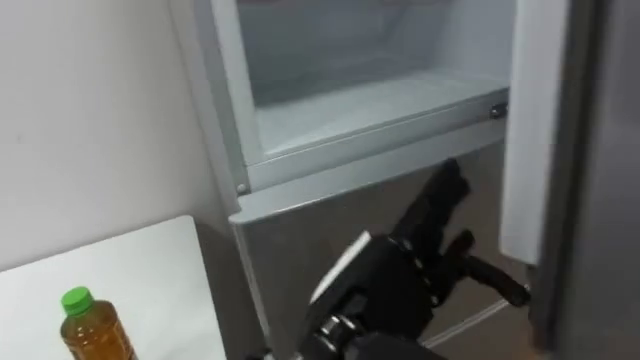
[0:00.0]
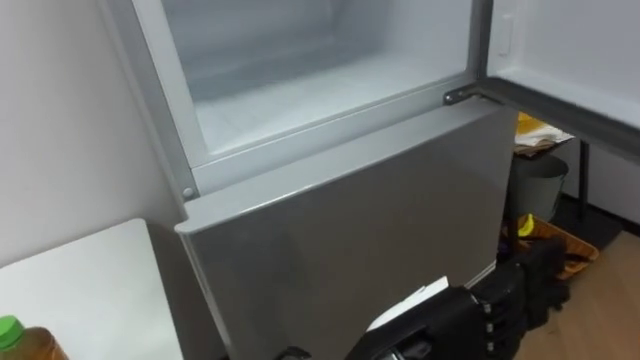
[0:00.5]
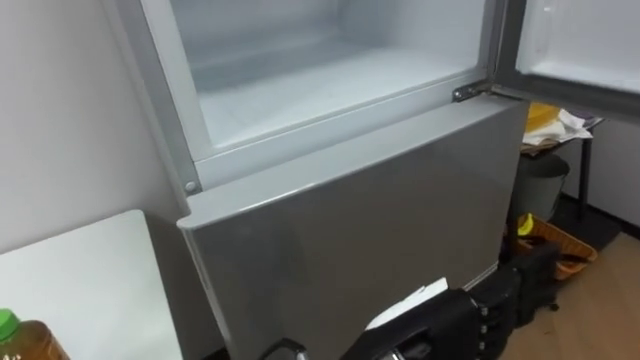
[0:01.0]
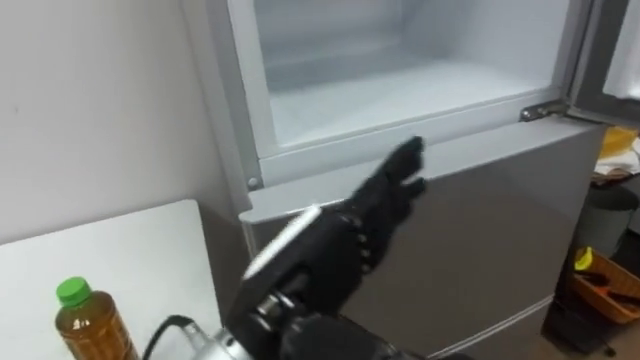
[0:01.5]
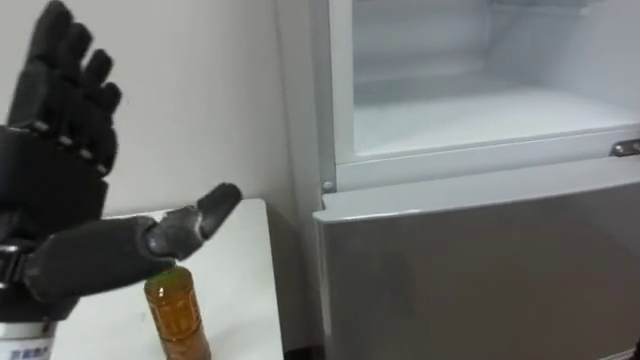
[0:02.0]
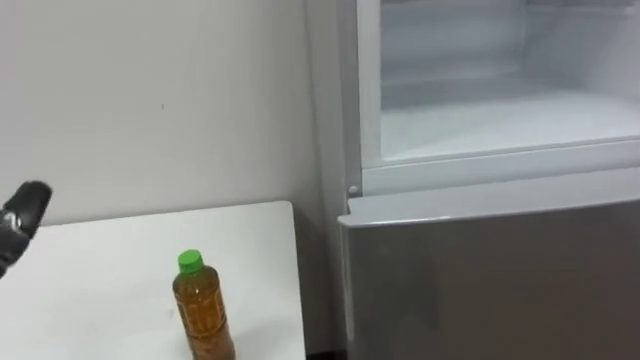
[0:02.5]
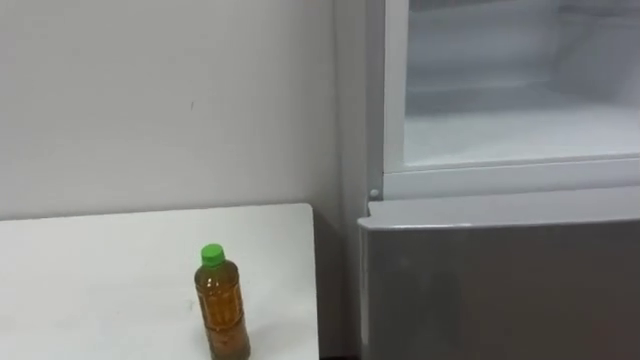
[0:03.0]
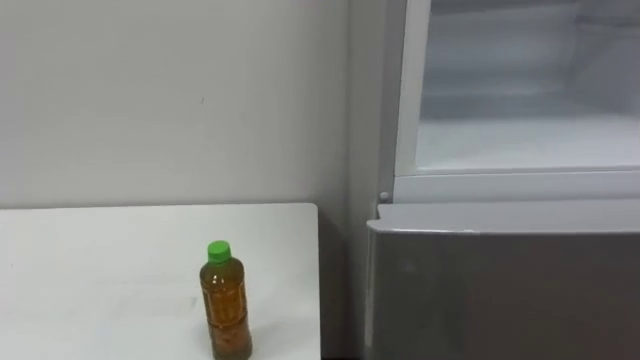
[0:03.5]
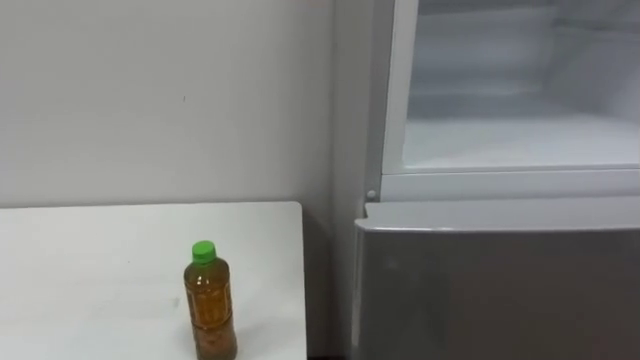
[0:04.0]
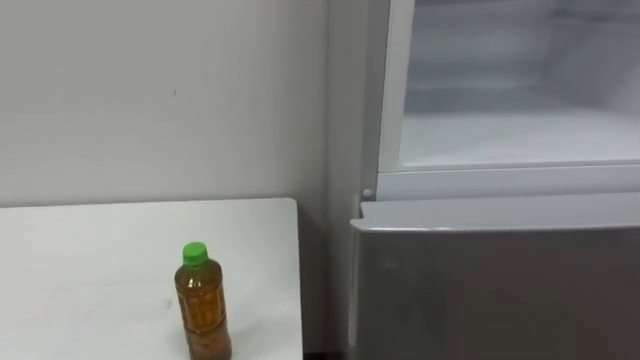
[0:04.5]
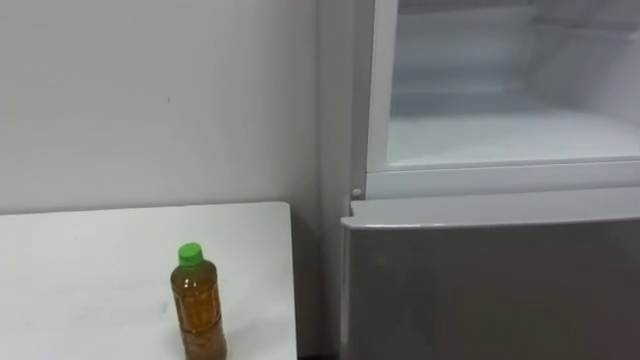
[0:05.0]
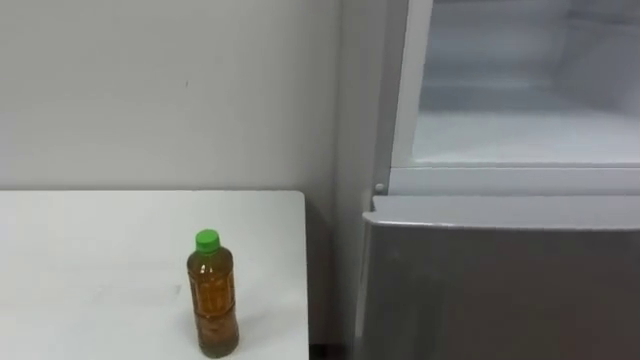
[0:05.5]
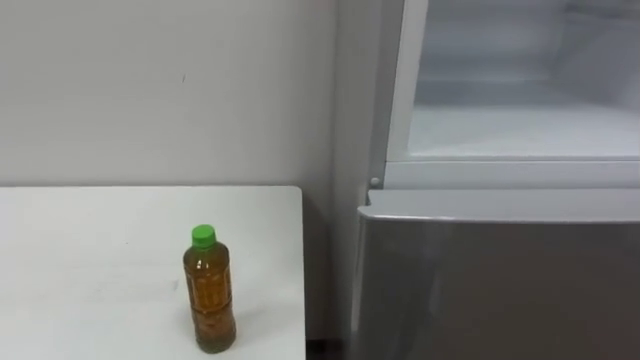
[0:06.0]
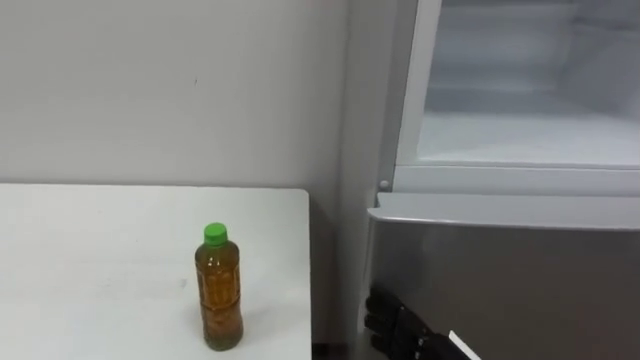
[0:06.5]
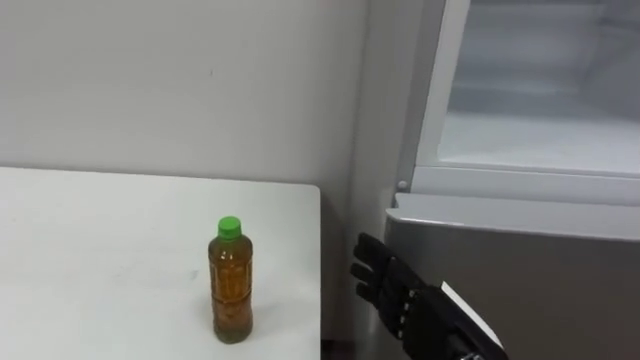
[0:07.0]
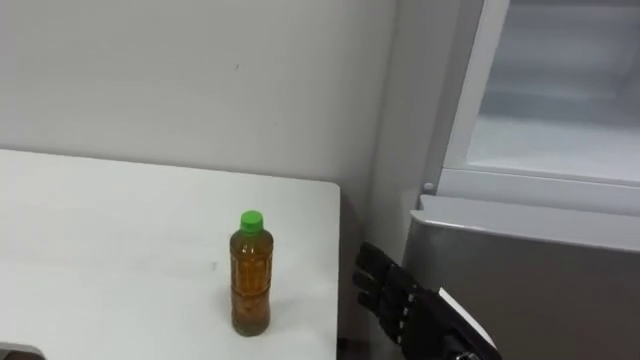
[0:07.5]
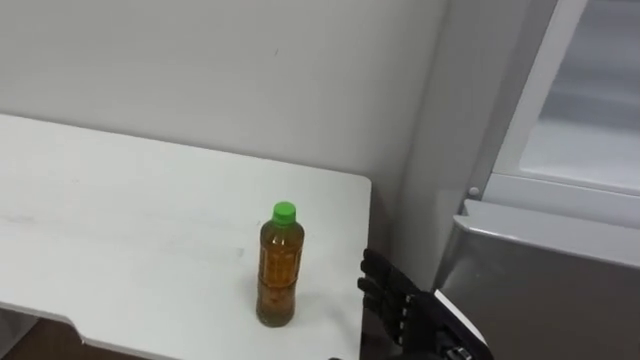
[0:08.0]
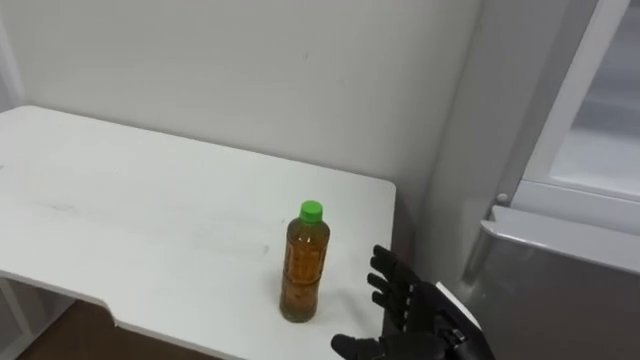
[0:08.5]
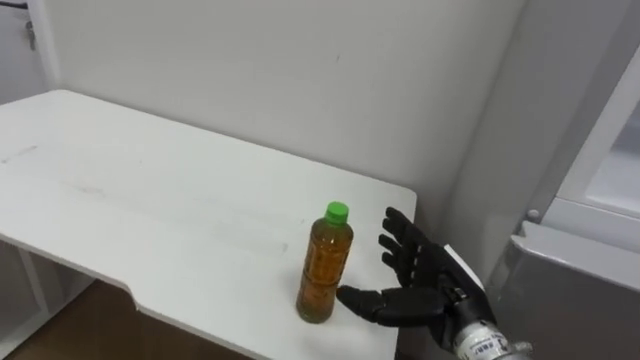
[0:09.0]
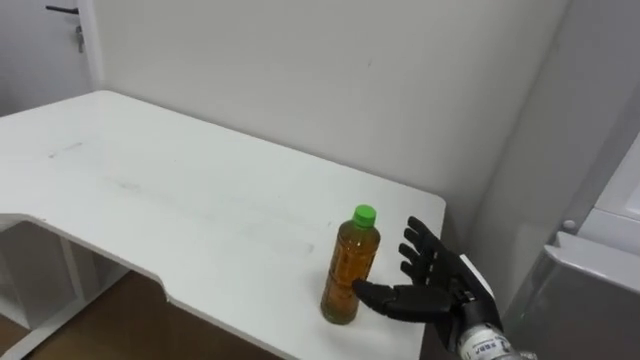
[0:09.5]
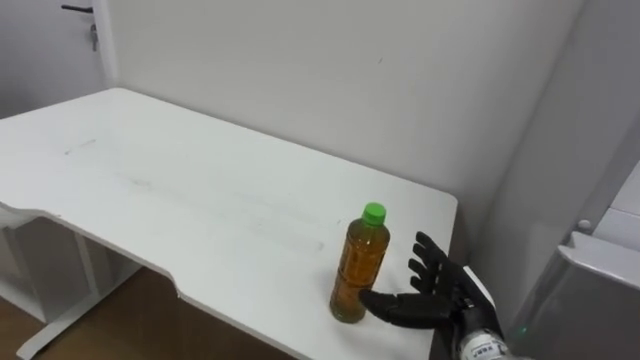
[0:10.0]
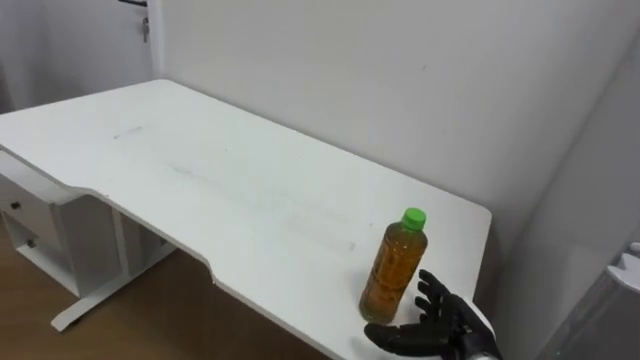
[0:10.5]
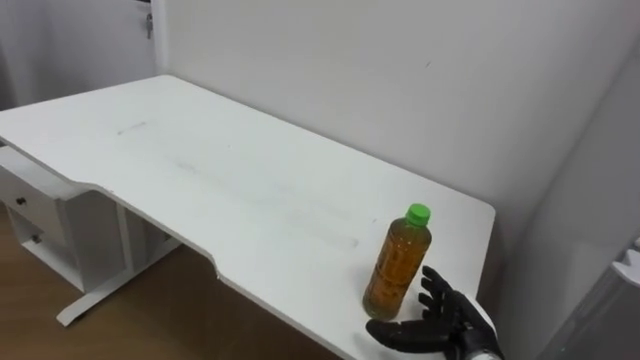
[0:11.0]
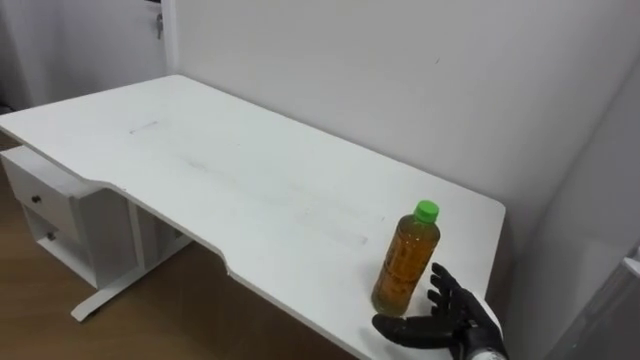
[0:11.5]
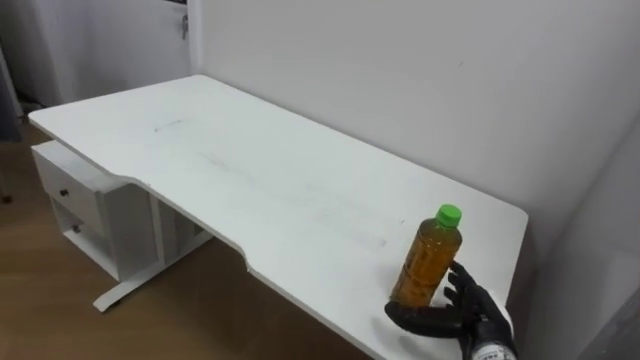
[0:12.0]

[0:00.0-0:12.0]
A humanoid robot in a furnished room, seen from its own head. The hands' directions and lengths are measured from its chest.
Task of the whole recording: Open the upper refrigerator door, put the drink from the table into the refrigerator, and then close the refrigerator door.
0:00.0 to 0:02.0: The left hand shifts roughly 25 cm to the left.
0:08.0 to 0:10.0: The right hand travels forward by about 5 cm.

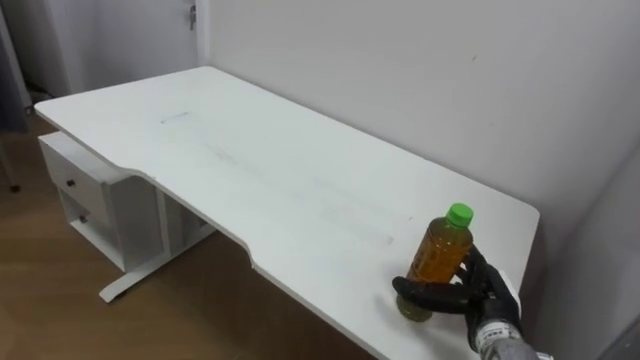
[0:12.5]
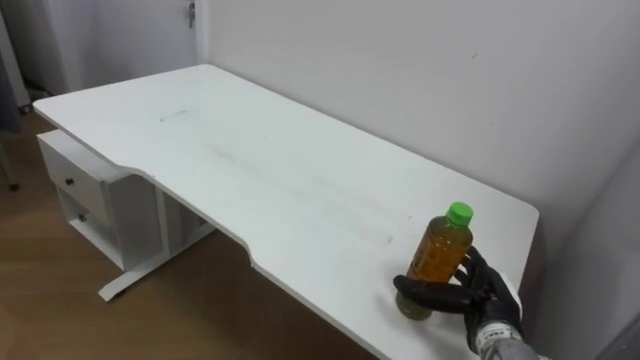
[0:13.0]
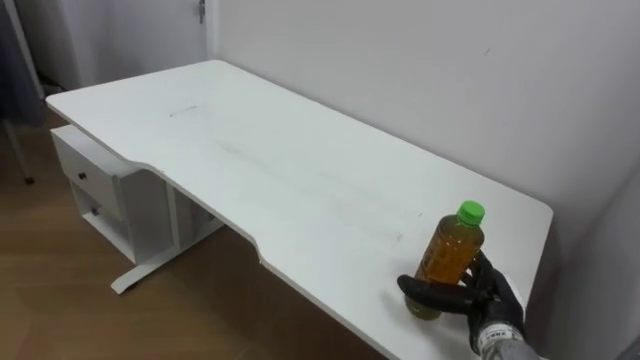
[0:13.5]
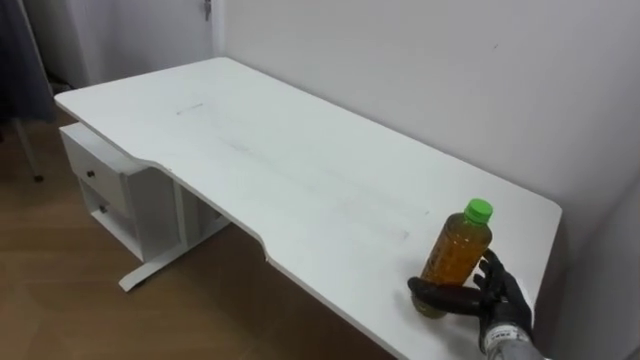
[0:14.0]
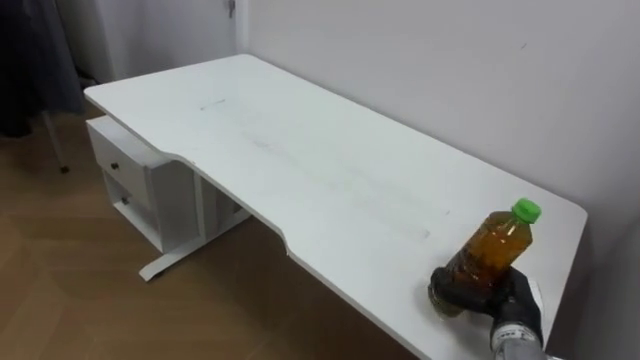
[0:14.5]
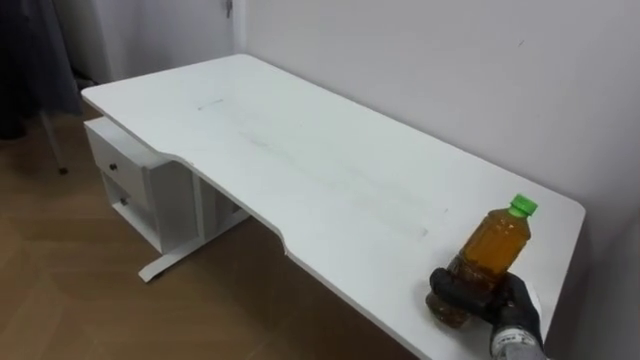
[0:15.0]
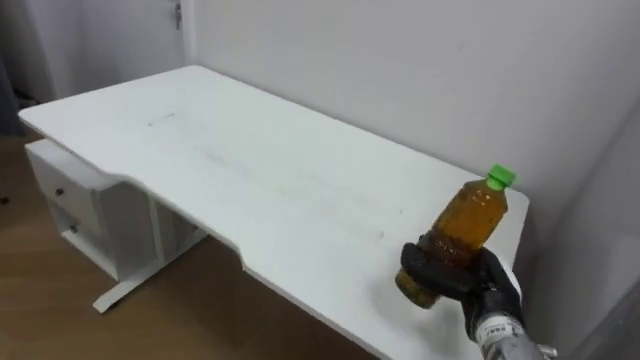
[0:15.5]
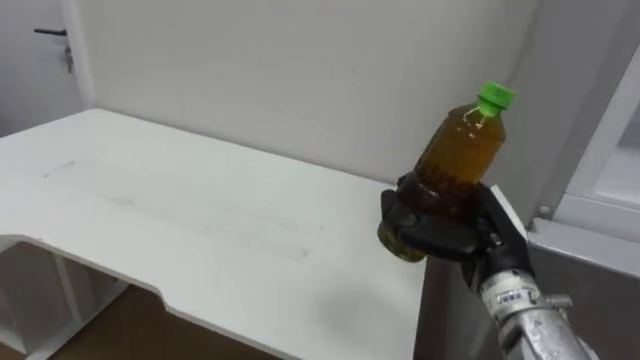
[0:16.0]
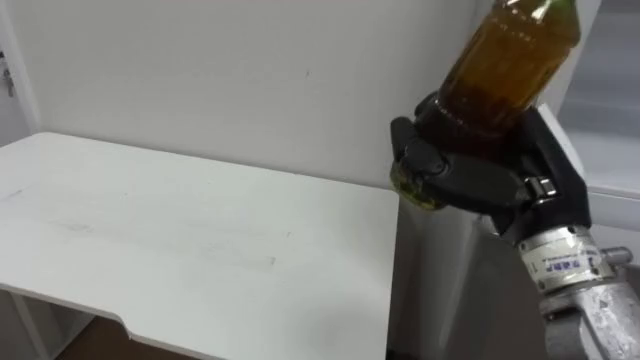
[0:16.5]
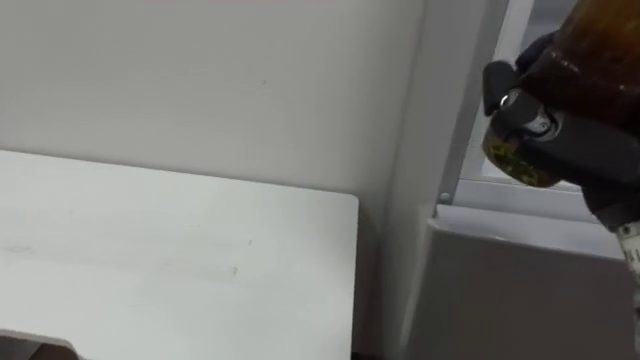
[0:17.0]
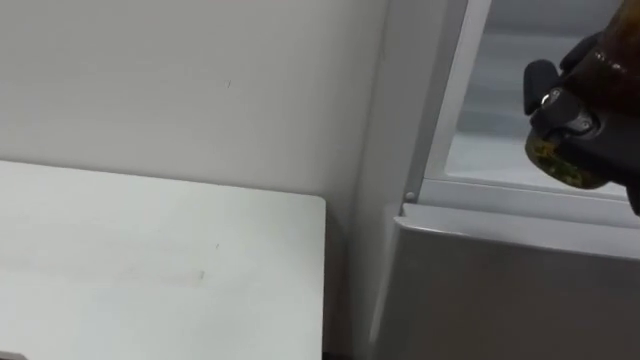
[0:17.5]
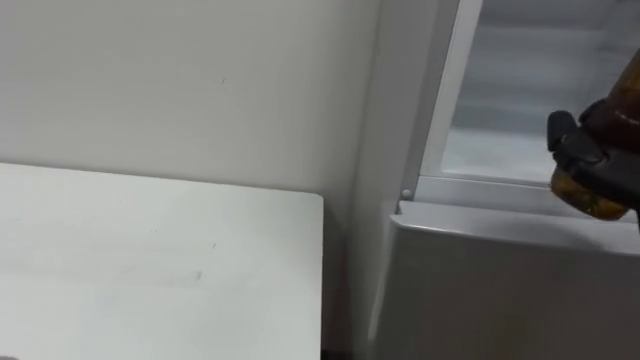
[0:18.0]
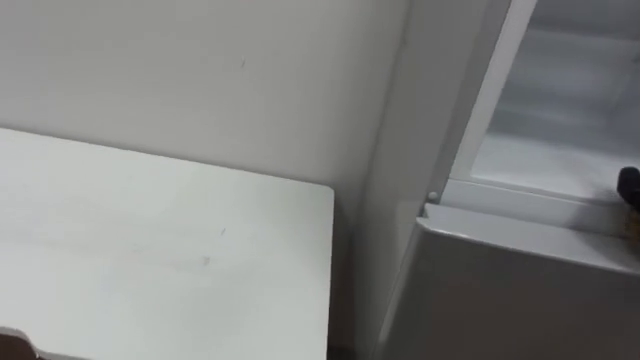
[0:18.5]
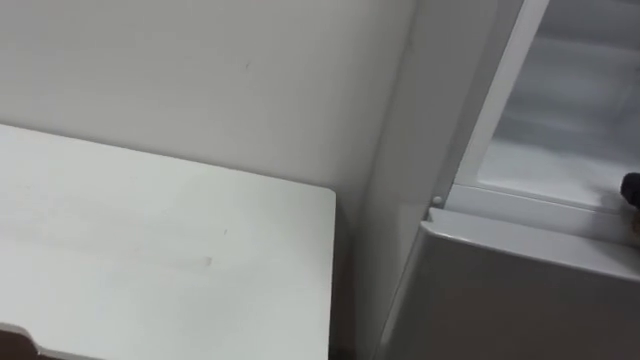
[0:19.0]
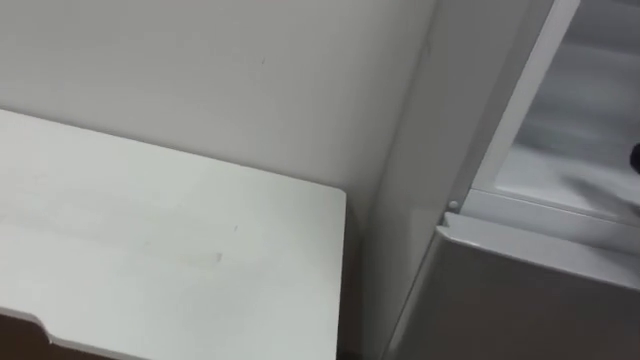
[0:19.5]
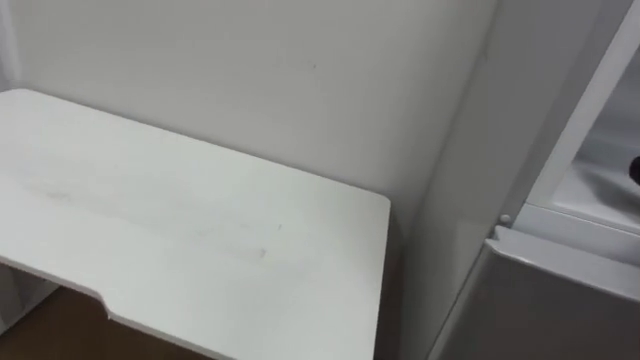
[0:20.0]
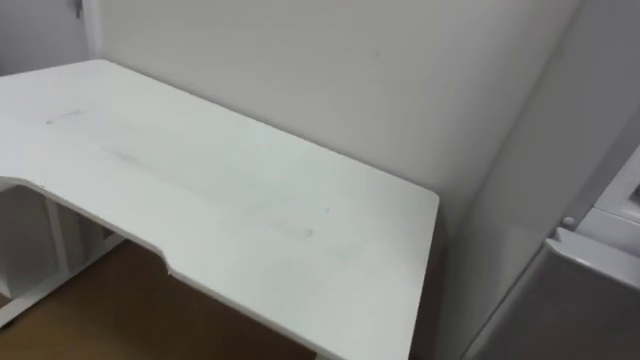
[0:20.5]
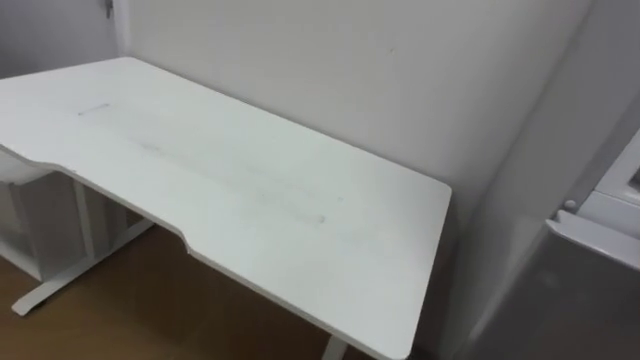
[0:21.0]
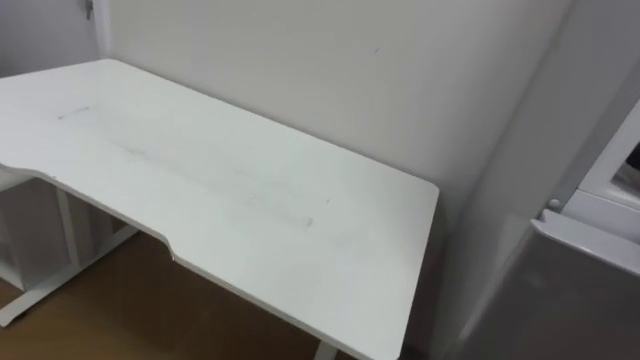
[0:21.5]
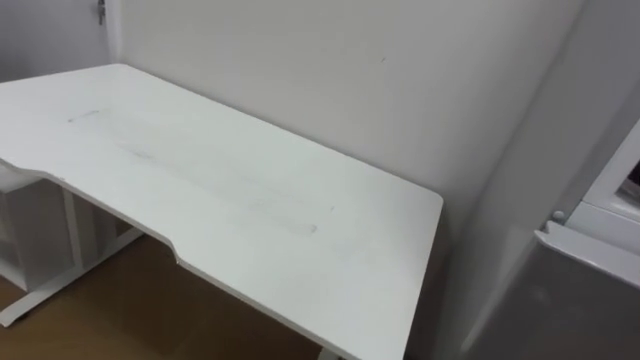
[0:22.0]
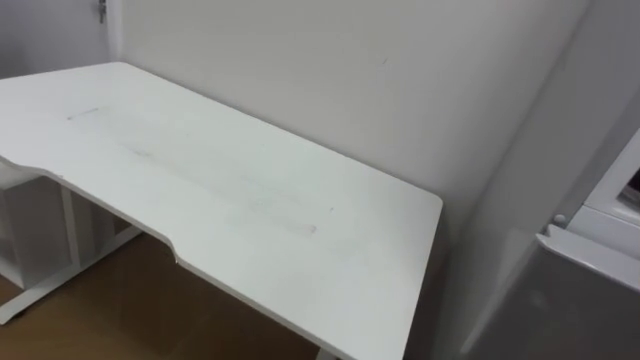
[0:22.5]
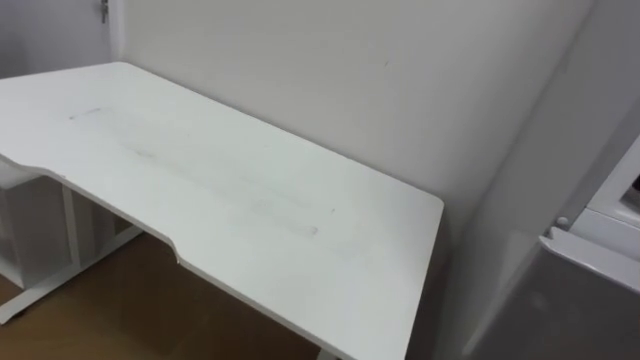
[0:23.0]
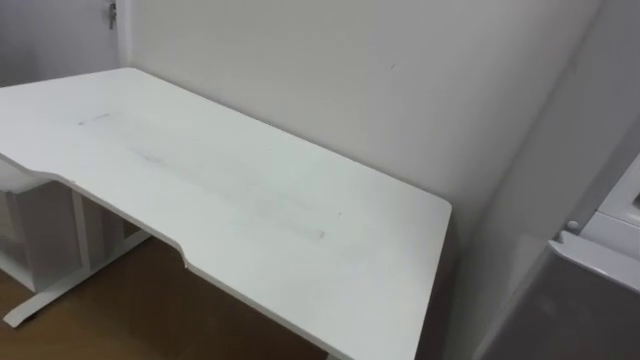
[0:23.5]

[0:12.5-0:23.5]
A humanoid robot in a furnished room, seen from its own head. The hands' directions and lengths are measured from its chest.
Task of the whole recording: Open the upper refrigerator door, put the drink from the table into the refrigerator, and then close the refrigerator door.
0:12.5 to 0:14.5: The right hand closes its fingers.
0:14.5 to 0:16.0: The right hand heads upward and to the left, covering some 15 cm.
